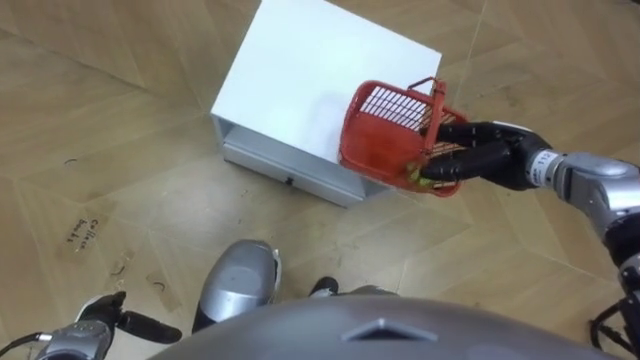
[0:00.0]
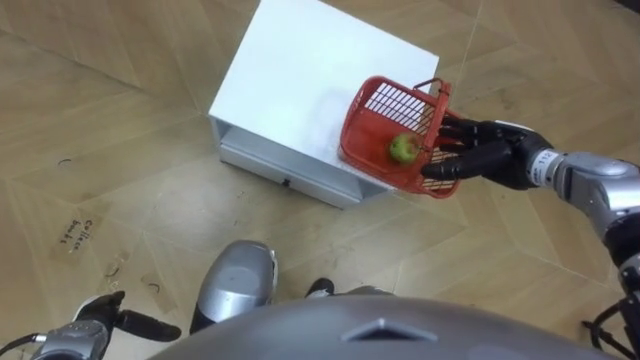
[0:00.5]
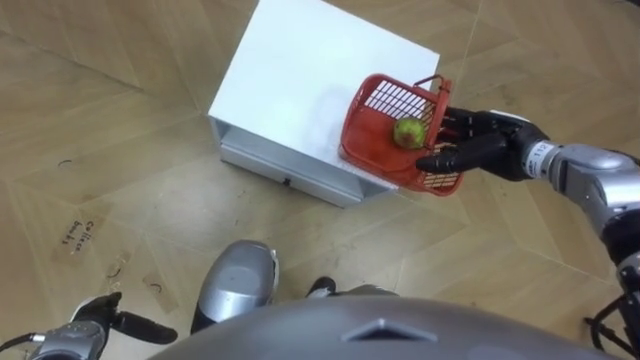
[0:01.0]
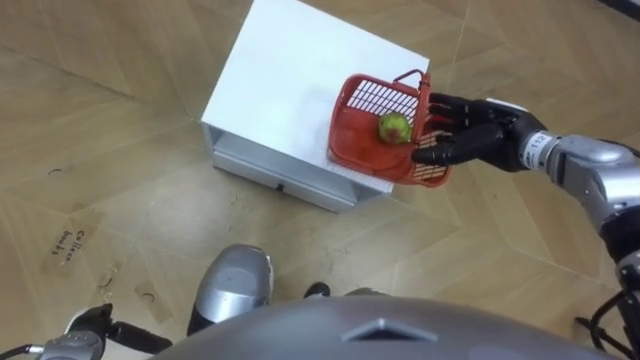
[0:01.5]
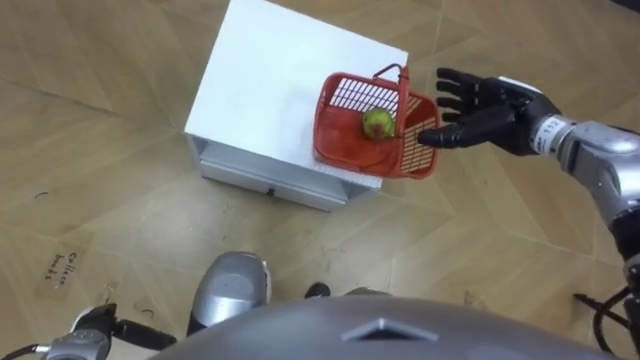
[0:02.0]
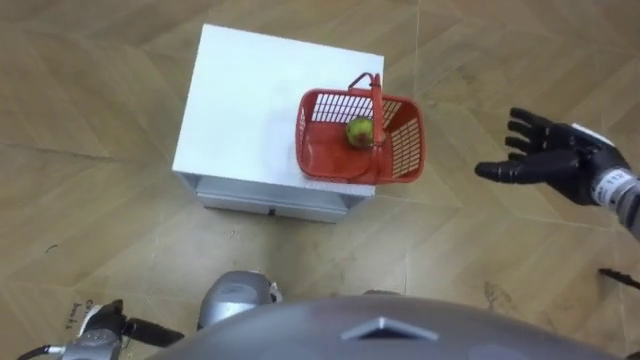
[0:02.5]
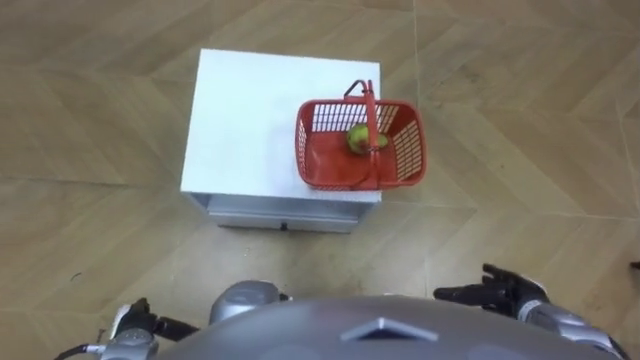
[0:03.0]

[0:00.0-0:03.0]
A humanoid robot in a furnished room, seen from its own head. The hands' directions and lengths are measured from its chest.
Task of the whole recording: Pick up the fruit basket from the floor and place it on the cabinet.
0:01.5 to 0:03.0: The left hand travels to the right by approximately 5 cm. Meanwhile the right hand shifts some 25 cm backward and downward.

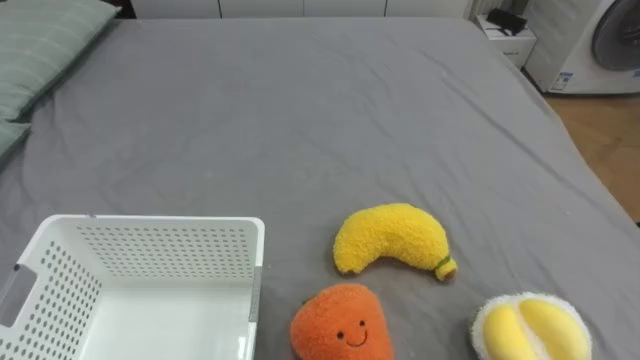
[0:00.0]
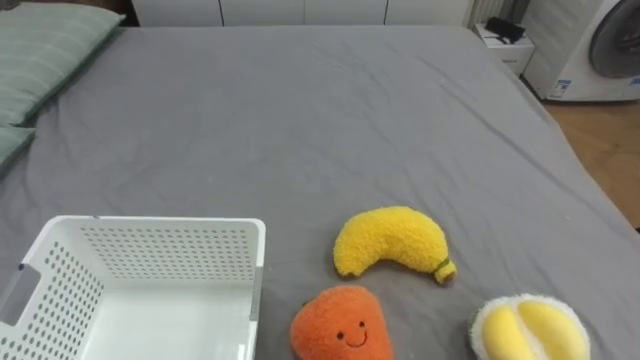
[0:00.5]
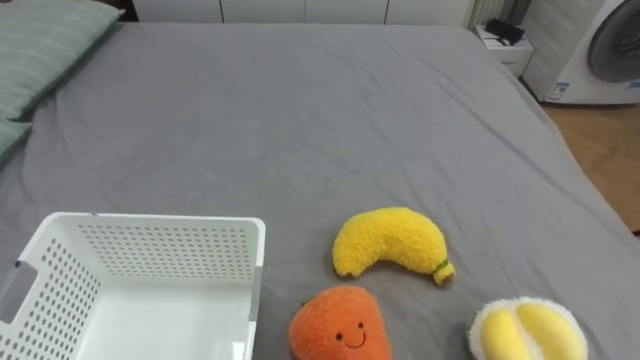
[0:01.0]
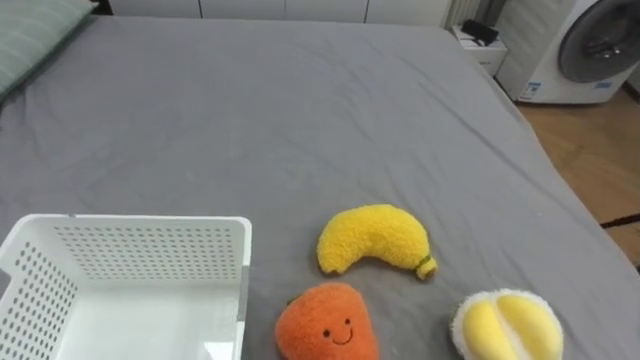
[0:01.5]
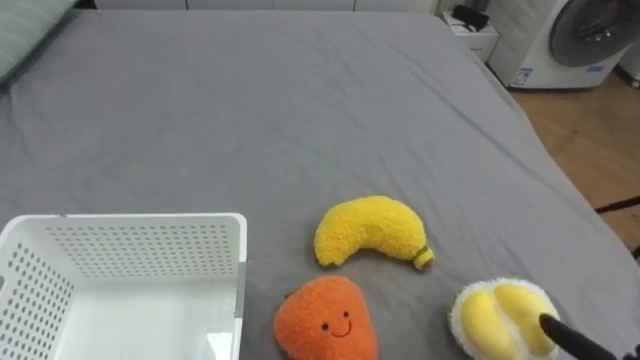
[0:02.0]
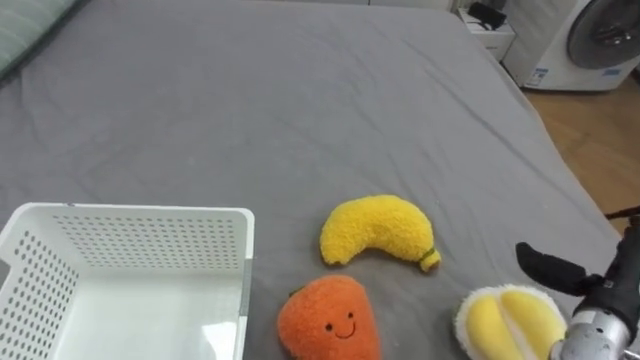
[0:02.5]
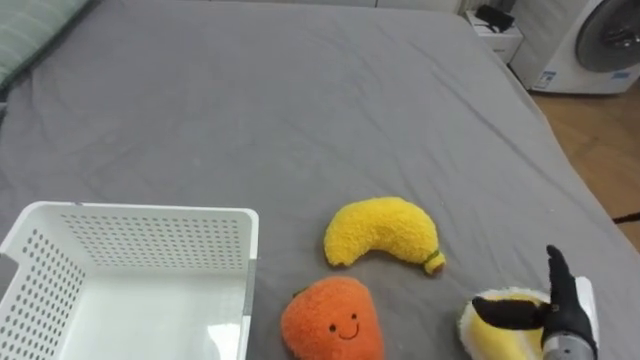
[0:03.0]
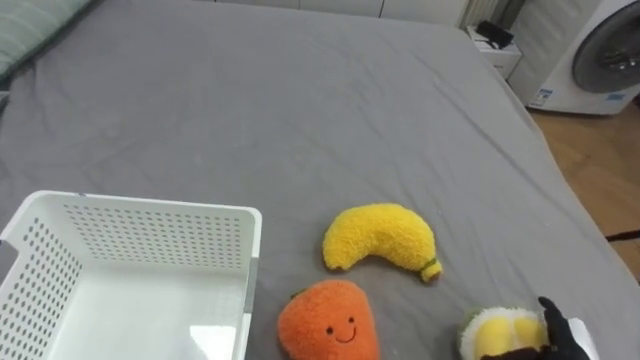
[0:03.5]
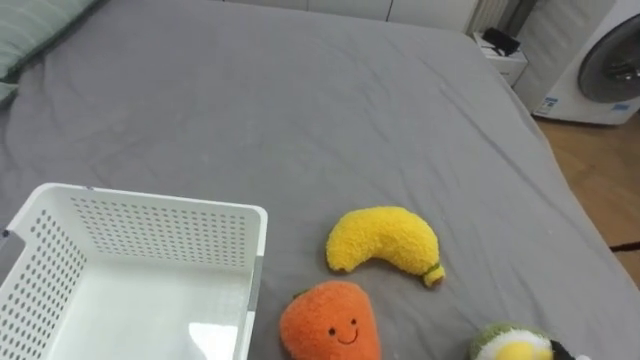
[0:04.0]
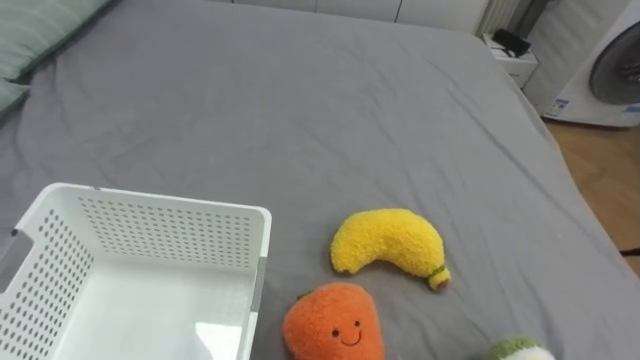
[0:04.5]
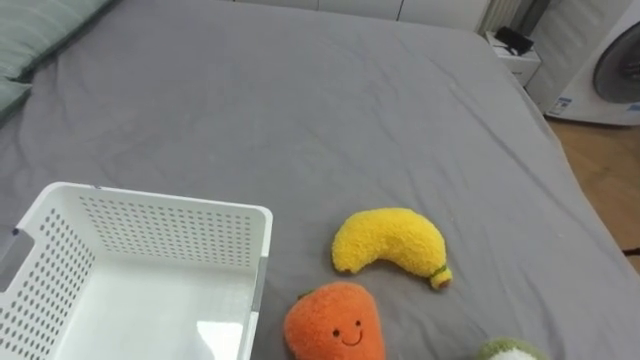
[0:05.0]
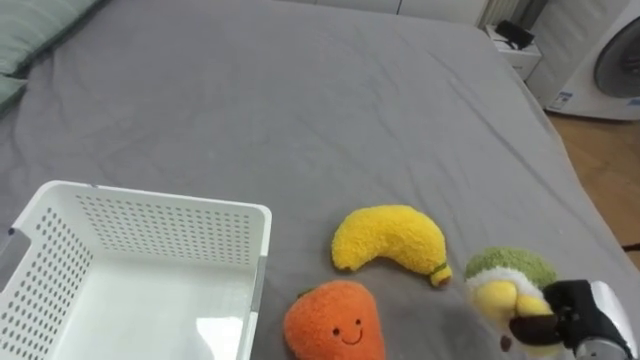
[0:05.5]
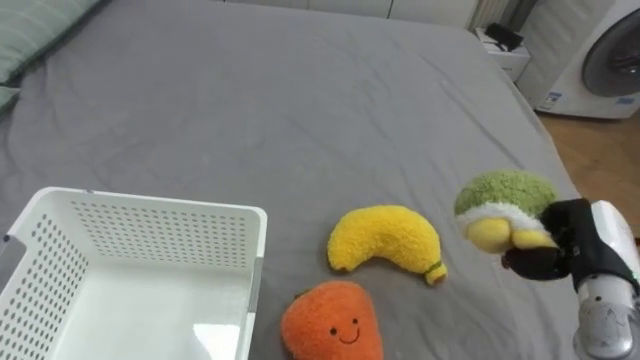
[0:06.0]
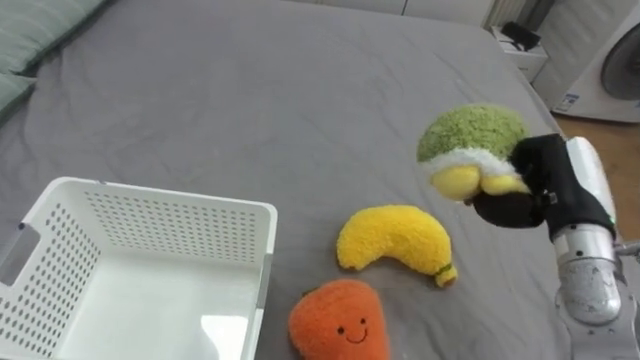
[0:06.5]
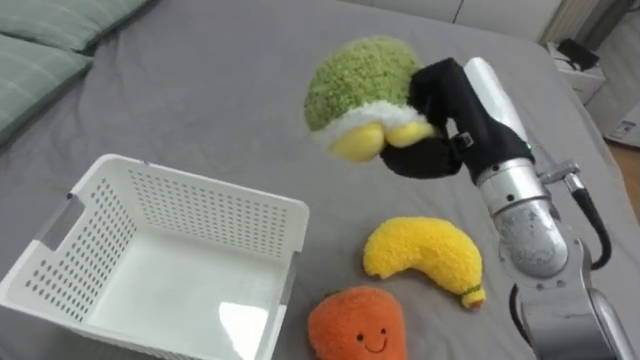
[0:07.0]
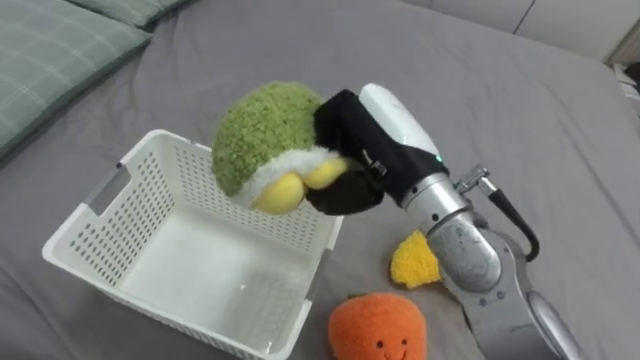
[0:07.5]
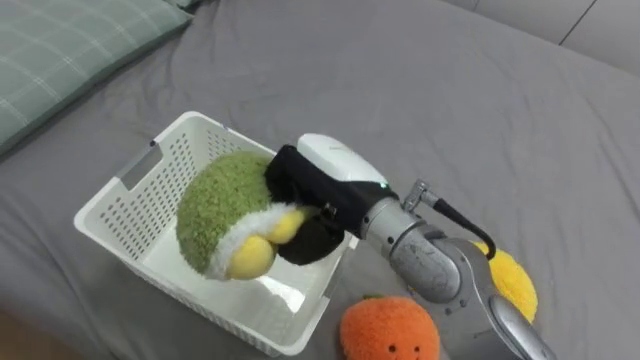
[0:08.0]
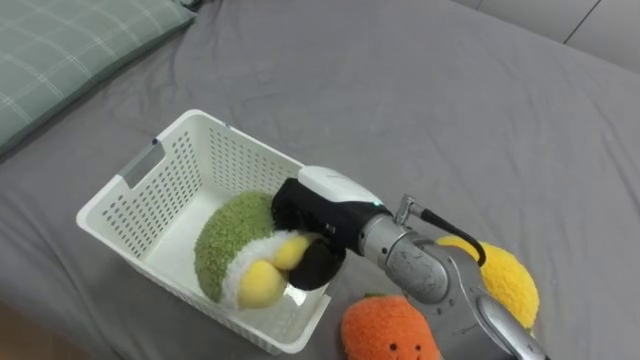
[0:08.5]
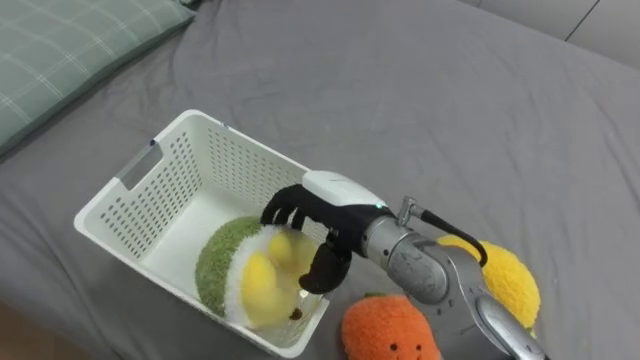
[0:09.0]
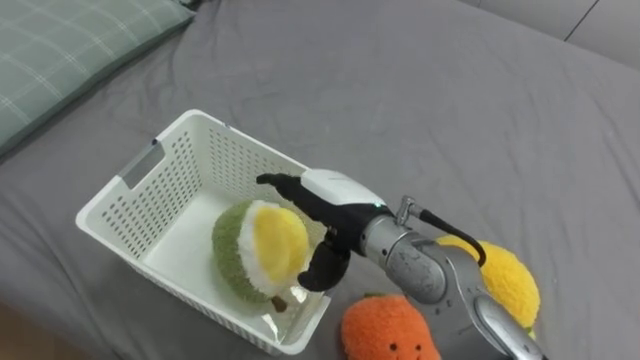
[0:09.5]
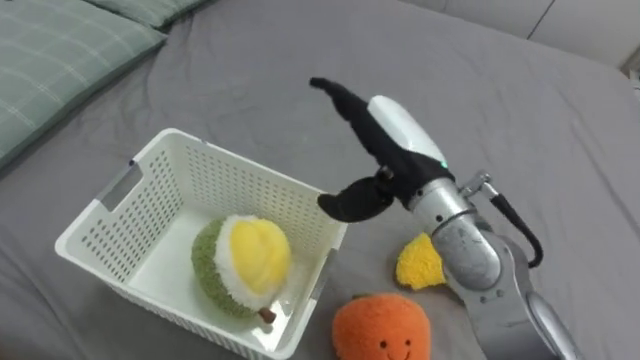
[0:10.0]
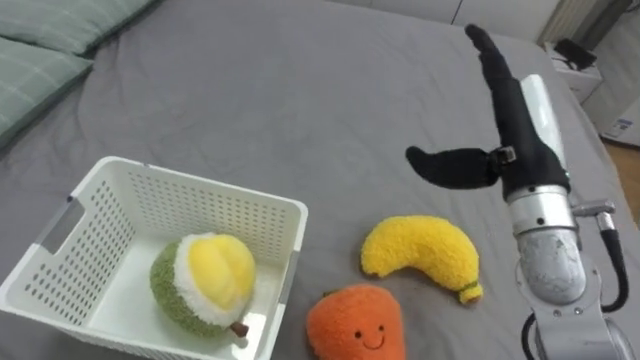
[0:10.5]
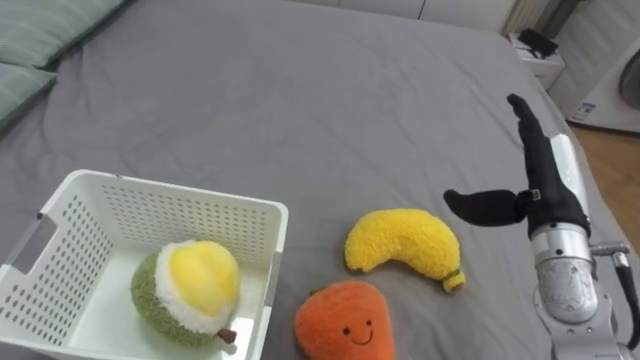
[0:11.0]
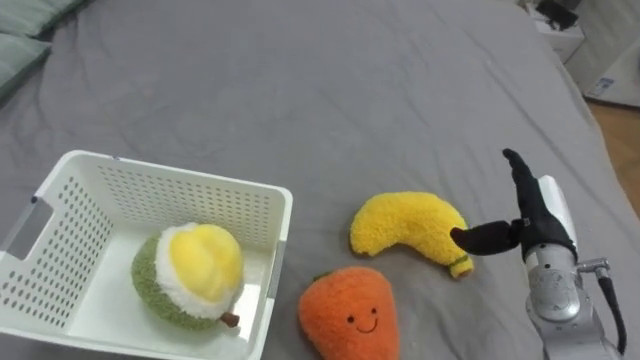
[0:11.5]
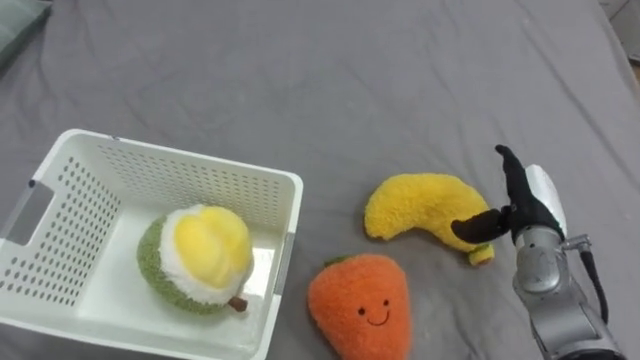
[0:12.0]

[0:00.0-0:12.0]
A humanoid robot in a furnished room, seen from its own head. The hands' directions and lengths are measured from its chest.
Task of the whole recording: Put the toys on the bed into the basket on the left.
0:06.0 to 0:08.0: The right hand shifts about 30 cm to the left.
0:08.0 to 0:10.0: The right hand goes roughly 5 cm to the right, and opens up.
0:10.0 to 0:12.0: The right hand heads to the right and downward, covering roughly 25 cm.

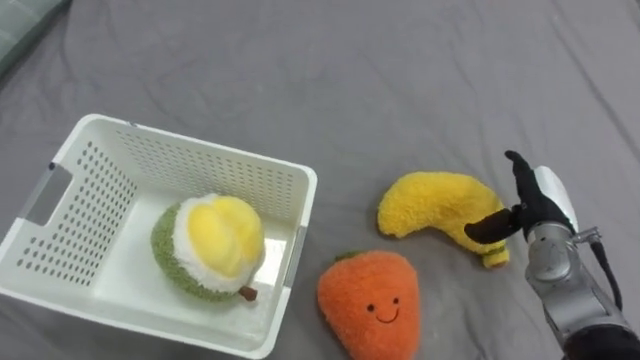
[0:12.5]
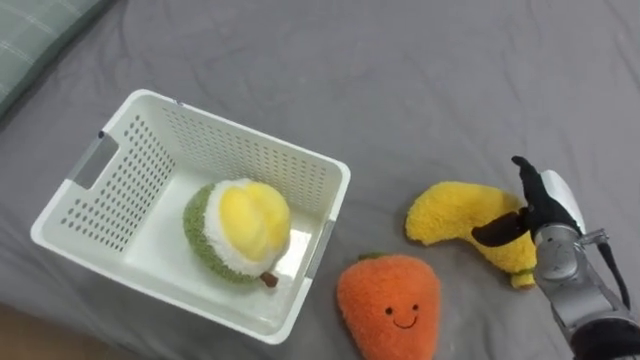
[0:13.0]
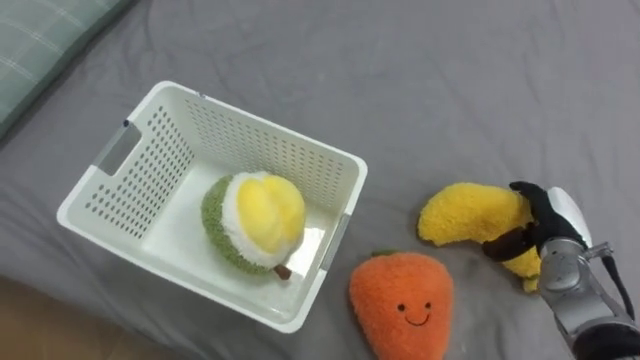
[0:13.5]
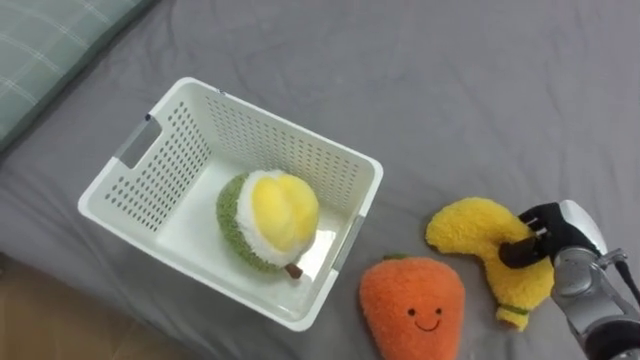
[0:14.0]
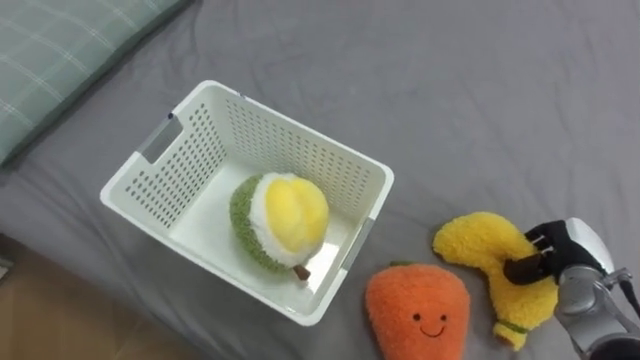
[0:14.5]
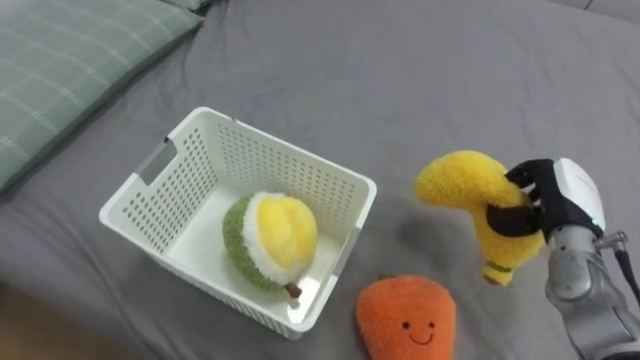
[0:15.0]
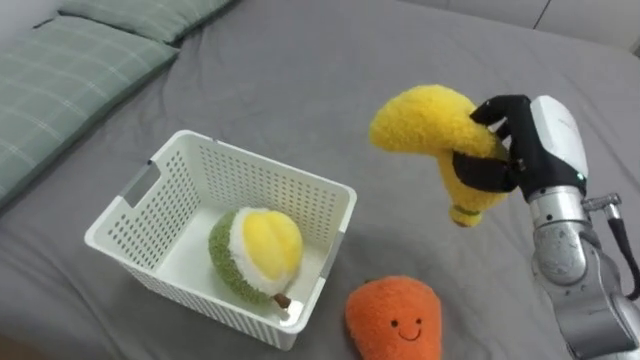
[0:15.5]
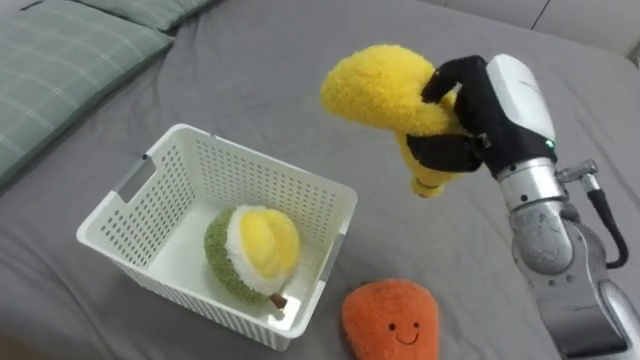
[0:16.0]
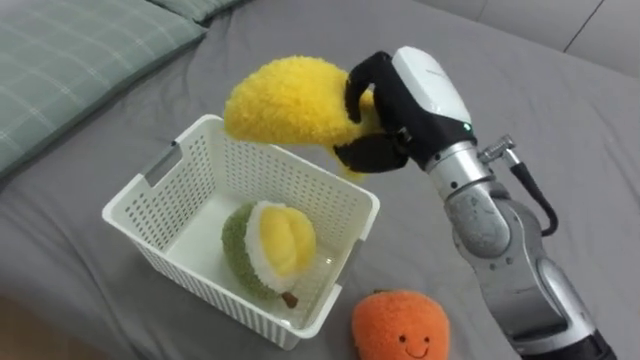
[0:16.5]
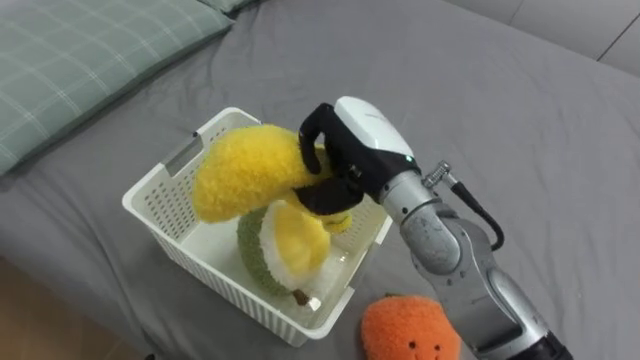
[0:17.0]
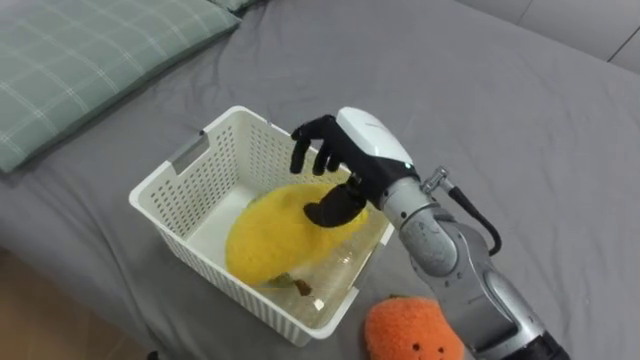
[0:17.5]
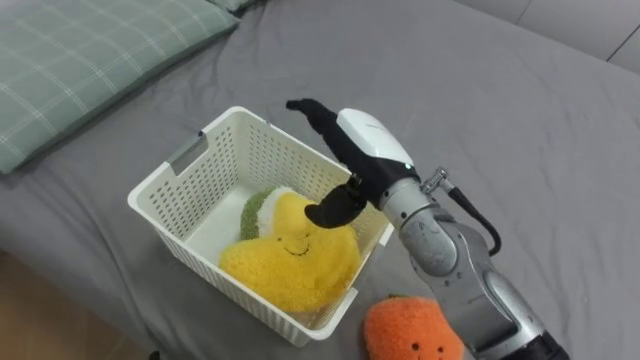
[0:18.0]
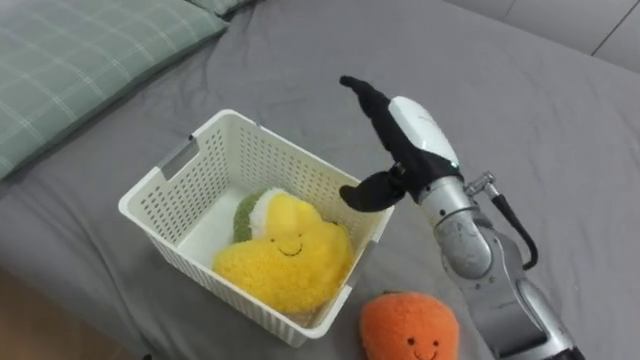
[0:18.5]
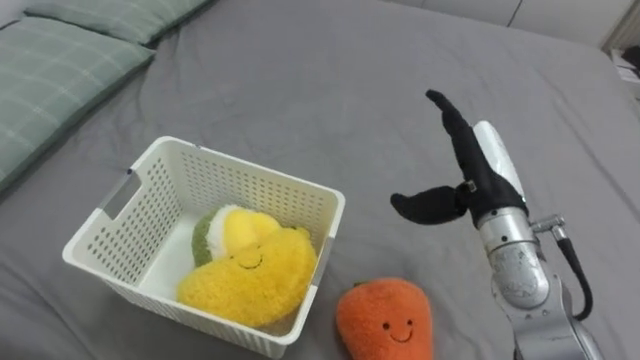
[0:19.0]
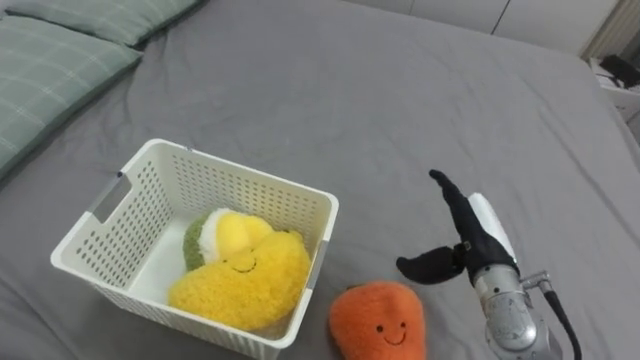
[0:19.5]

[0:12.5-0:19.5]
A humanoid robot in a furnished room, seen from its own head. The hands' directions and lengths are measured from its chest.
Task of the whole recording: Put the toys on the bed into the basket on the left.
0:12.5 to 0:14.5: The right hand goes some 10 cm downward and to the right, and closes up.
0:14.5 to 0:16.0: The right hand moves upward and to the left, roughly 30 cm.
0:16.0 to 0:17.5: The right hand travels to the left by some 15 cm, and opens its fingers.
0:17.5 to 0:19.5: The right hand travels to the right and downward by some 20 cm, and opens.
